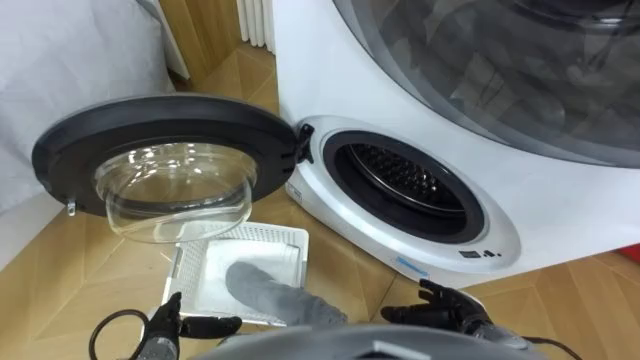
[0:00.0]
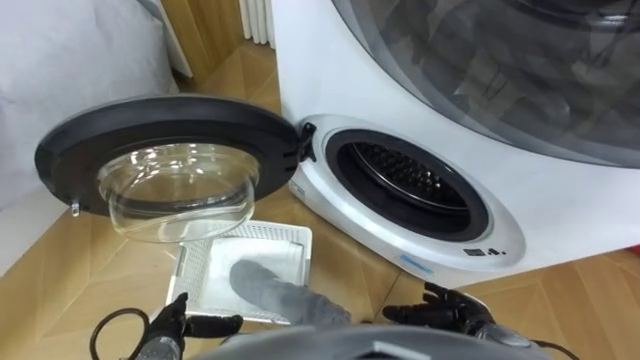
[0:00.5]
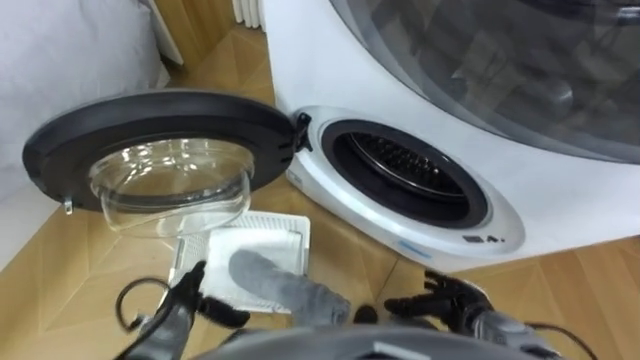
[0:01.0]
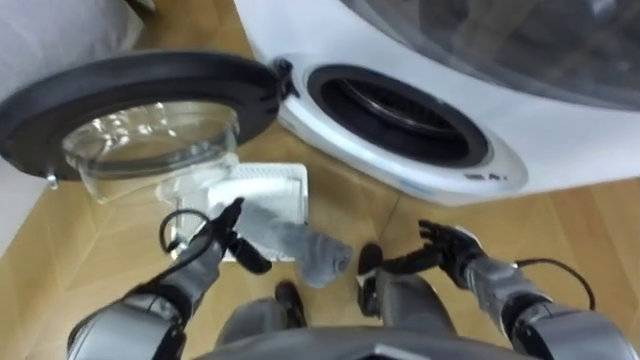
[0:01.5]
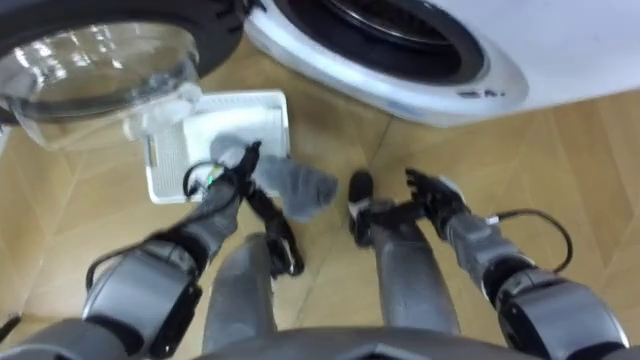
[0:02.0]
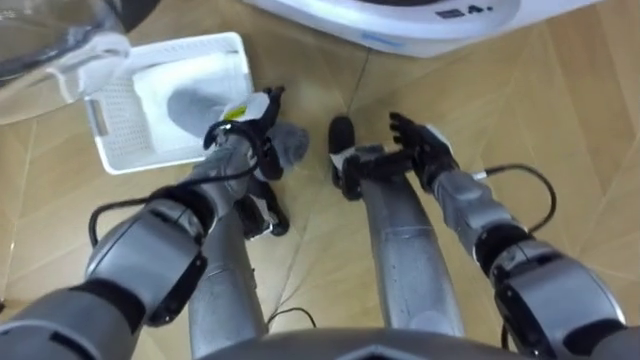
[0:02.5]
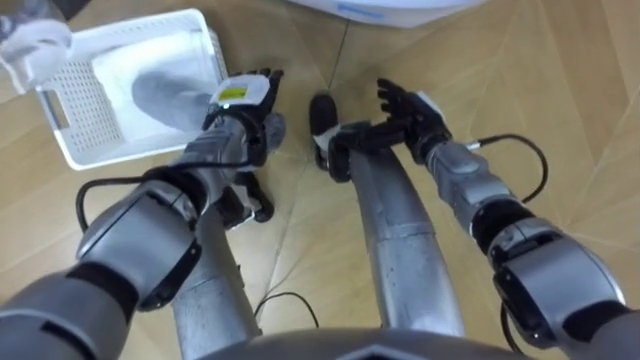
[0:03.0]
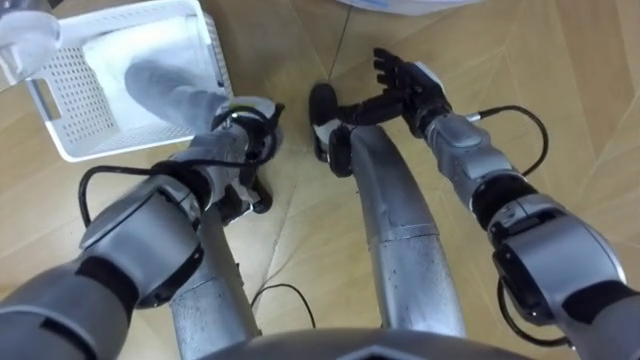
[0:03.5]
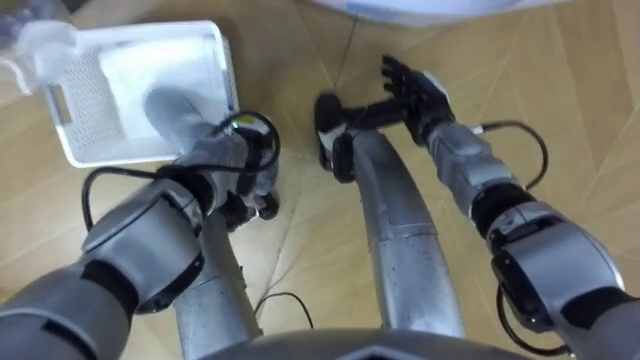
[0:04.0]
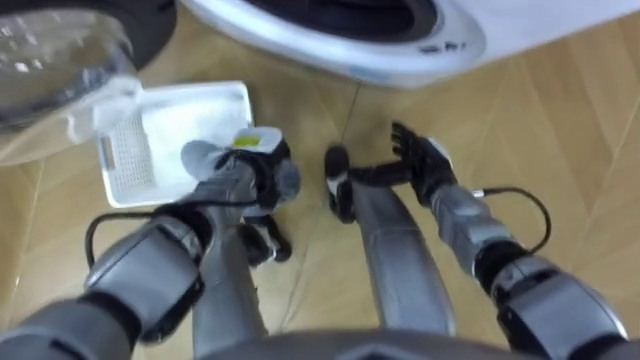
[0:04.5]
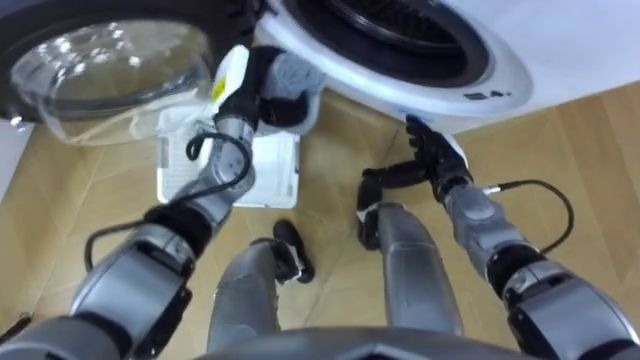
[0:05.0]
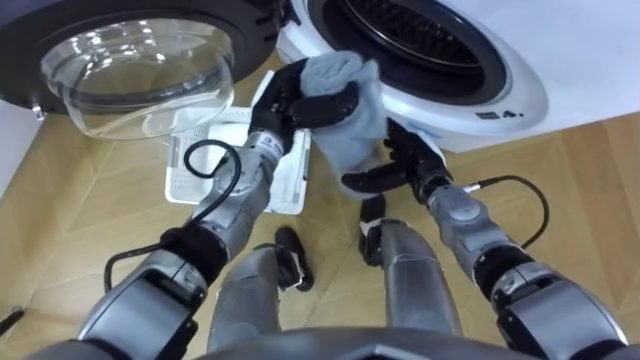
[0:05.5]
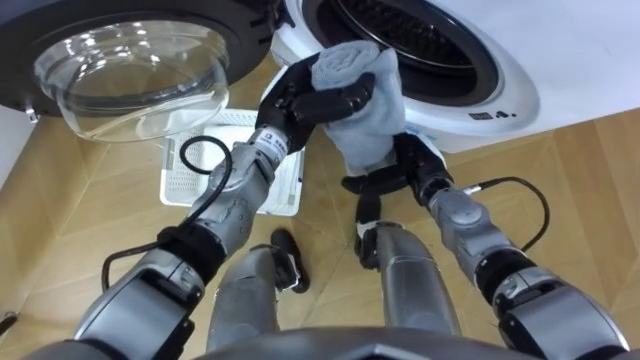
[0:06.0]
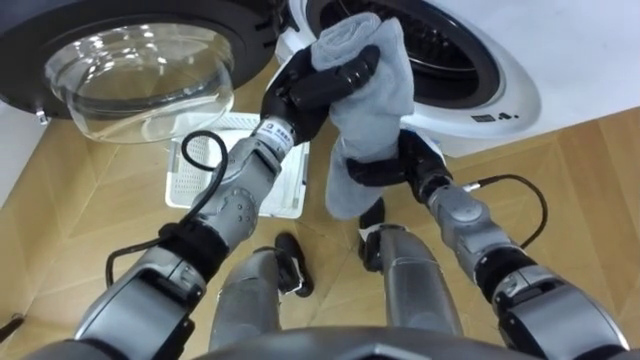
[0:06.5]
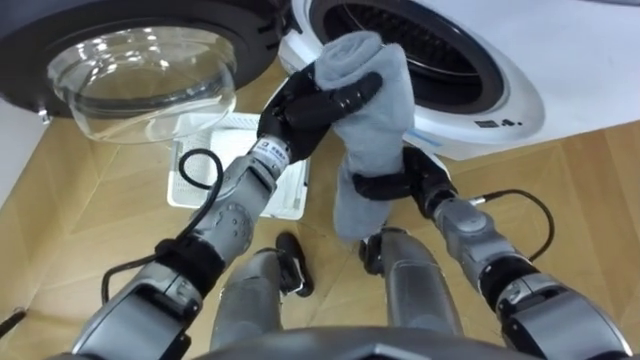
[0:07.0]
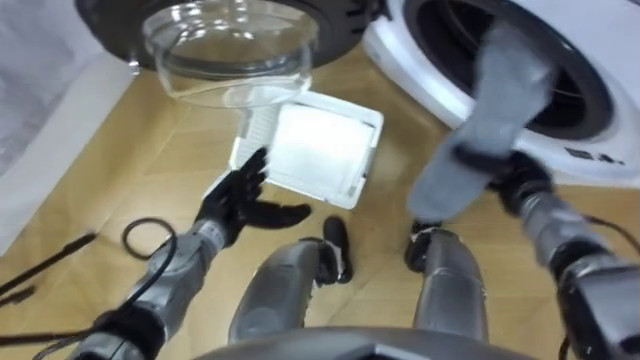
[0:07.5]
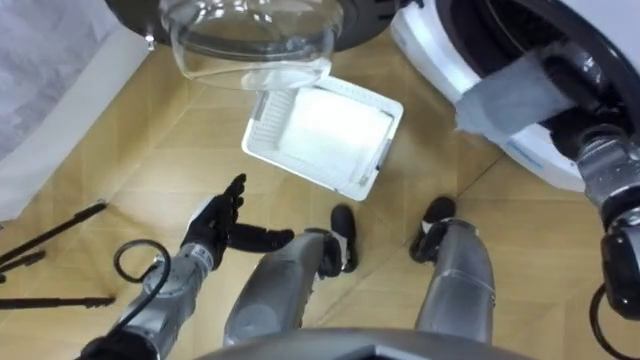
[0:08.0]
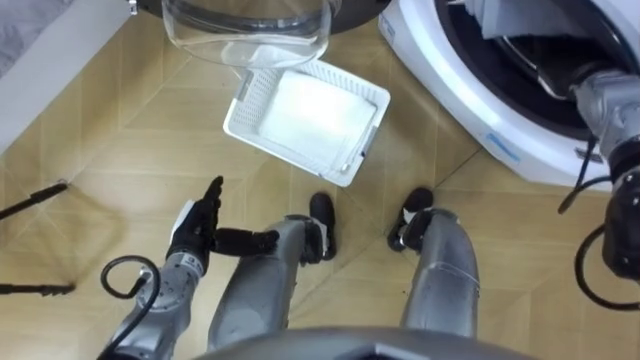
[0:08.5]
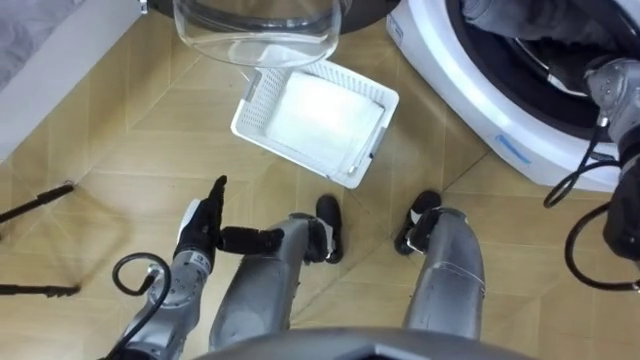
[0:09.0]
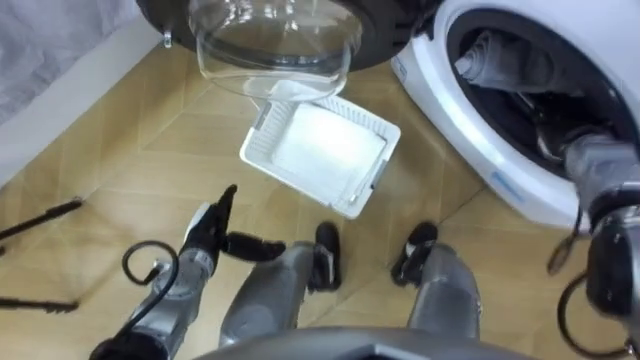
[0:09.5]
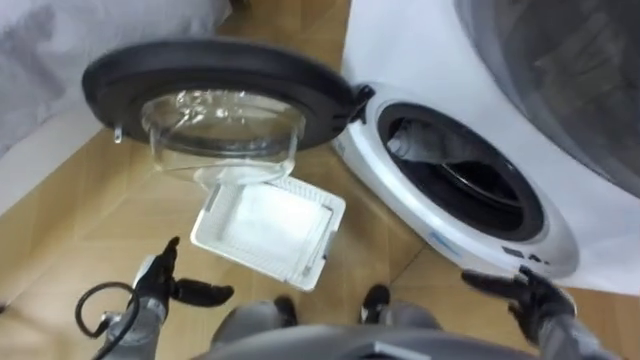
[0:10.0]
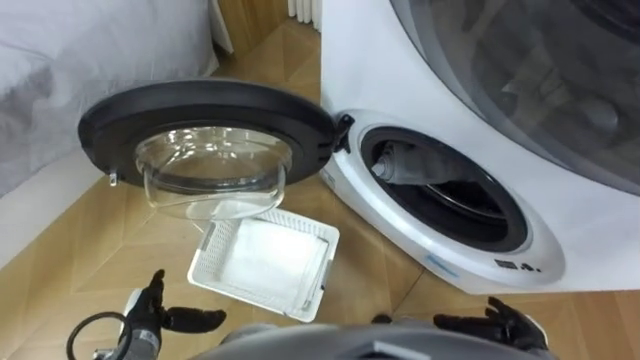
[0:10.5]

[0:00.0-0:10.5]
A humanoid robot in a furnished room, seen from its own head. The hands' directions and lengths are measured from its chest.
Task of the whole recording: Take the towel from the basket and put it into the washing machine.
0:02.0 to 0:04.0: The left hand closes, while the right hand goes some 15 cm forward and upward.
0:04.0 to 0:06.5: The left hand goes roughly 15 cm upward and to the right. Meanwhile the right hand heads backward and downward, covering approximately 10 cm, and closes its fingers.
0:06.5 to 0:08.5: The right hand goes some 25 cm to the right, upward and forward; the left hand travels to the left, downward and backward by some 25 cm, and opens up.
0:08.5 to 0:10.5: The left hand shifts approximately 15 cm backward, to the left and downward. The right hand heads backward and downward, covering some 40 cm, and opens up.

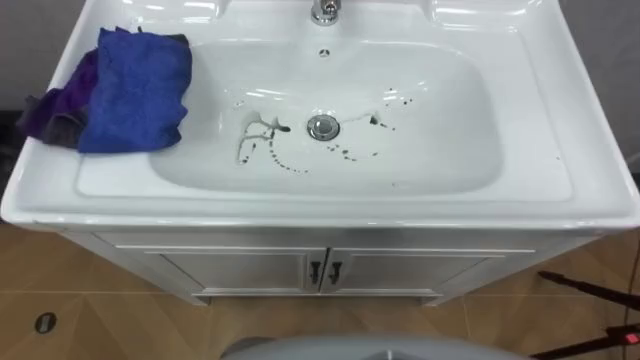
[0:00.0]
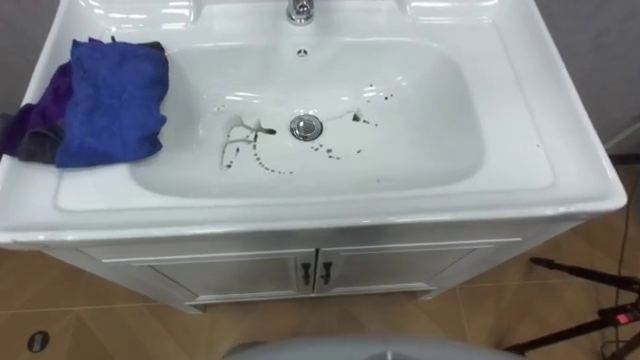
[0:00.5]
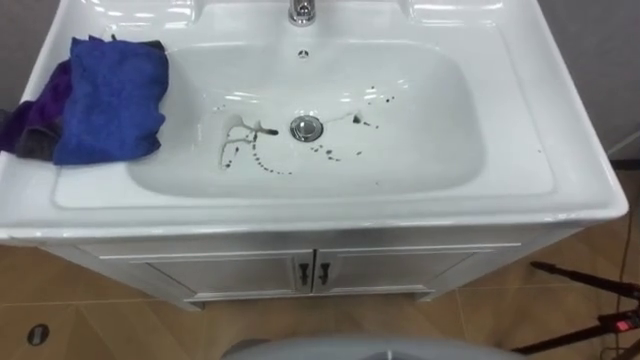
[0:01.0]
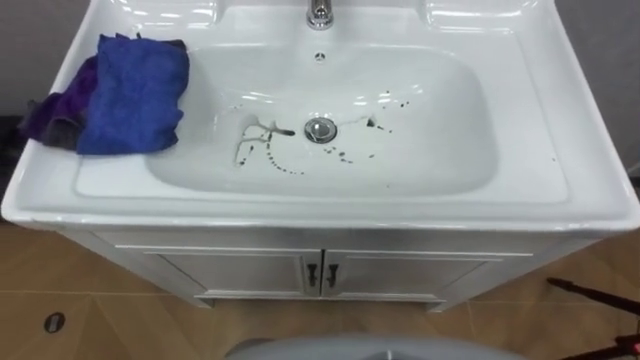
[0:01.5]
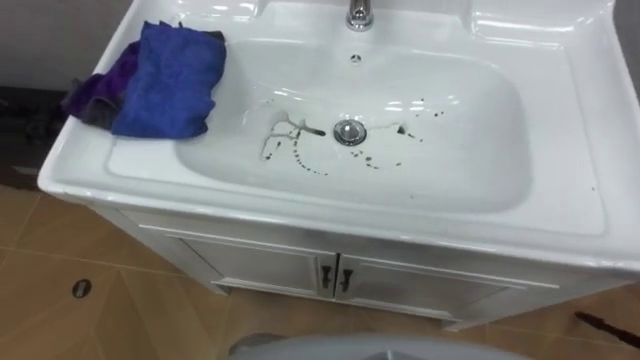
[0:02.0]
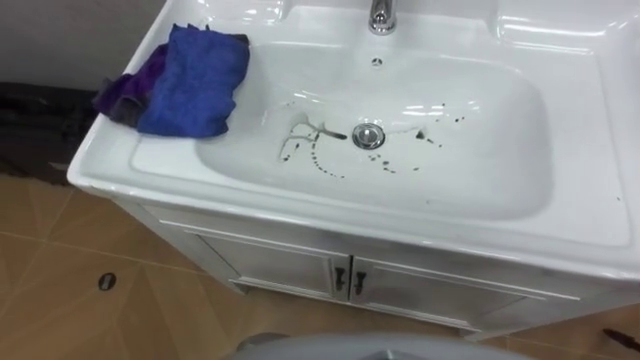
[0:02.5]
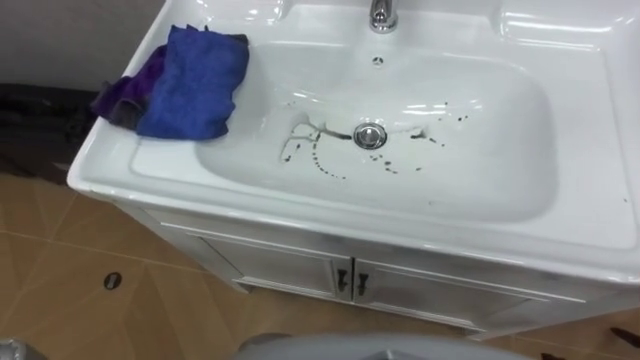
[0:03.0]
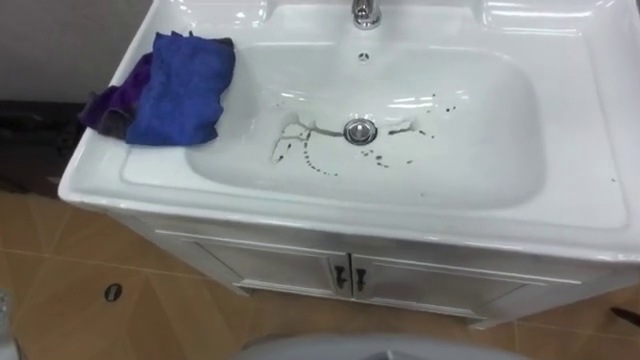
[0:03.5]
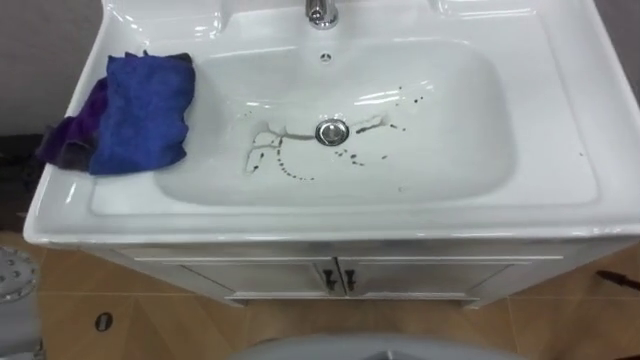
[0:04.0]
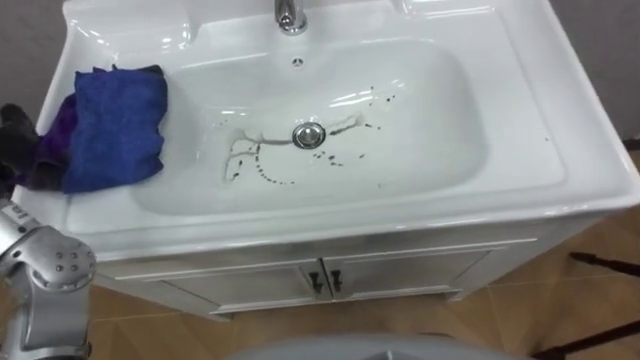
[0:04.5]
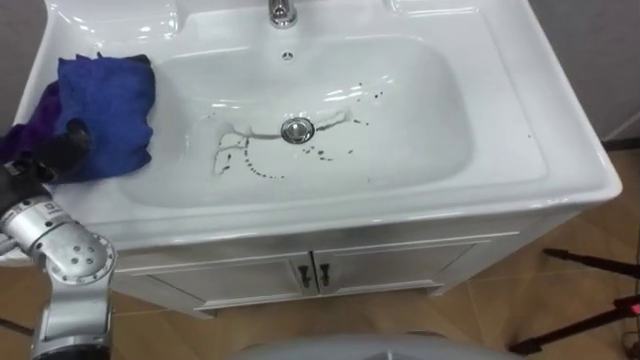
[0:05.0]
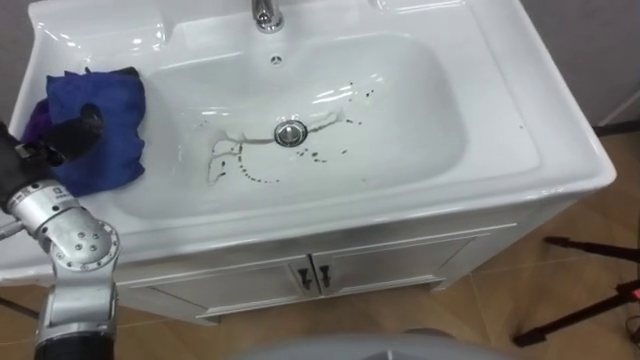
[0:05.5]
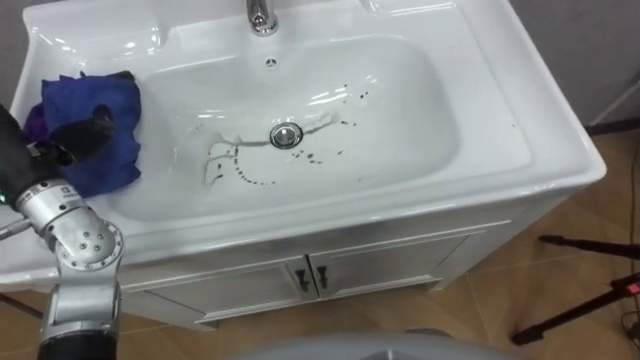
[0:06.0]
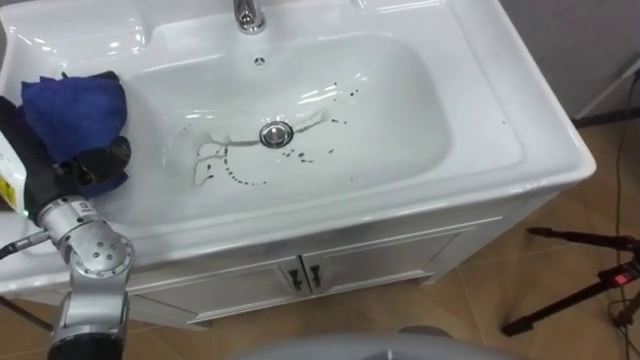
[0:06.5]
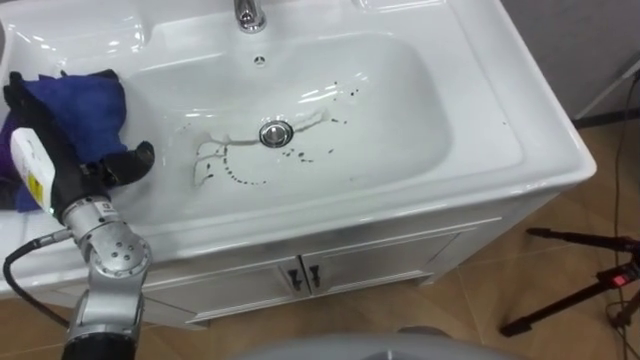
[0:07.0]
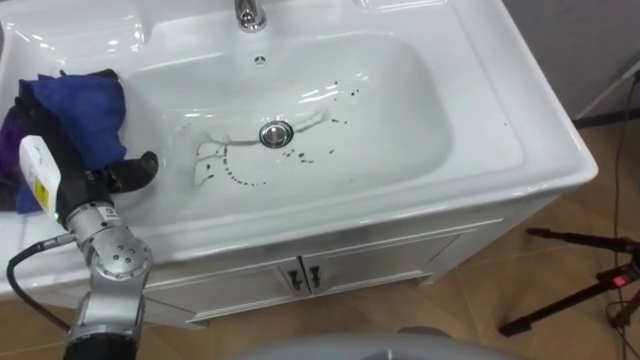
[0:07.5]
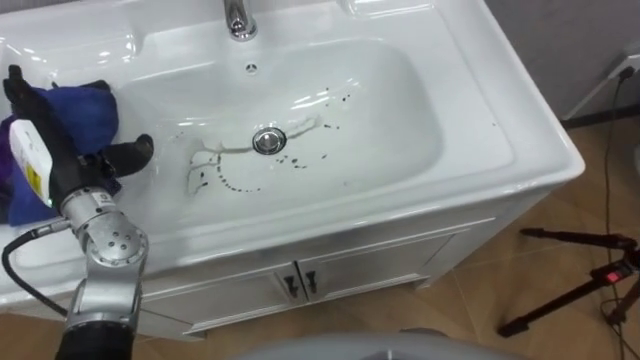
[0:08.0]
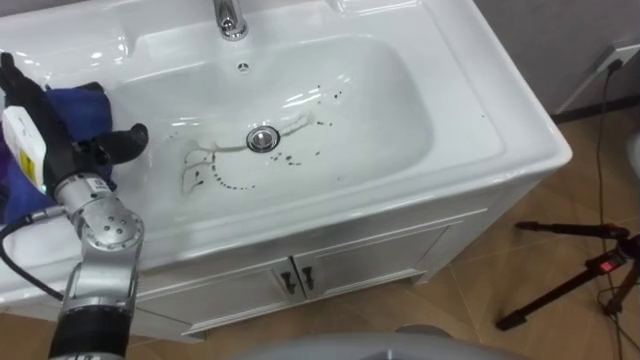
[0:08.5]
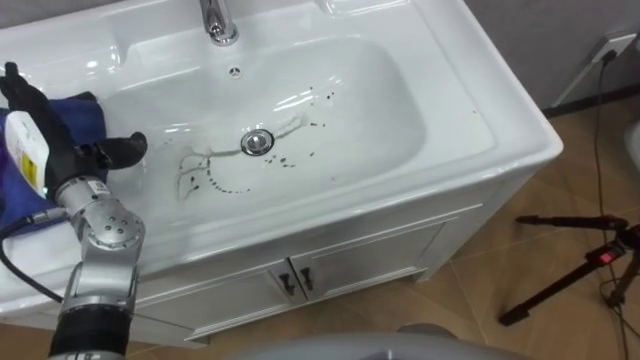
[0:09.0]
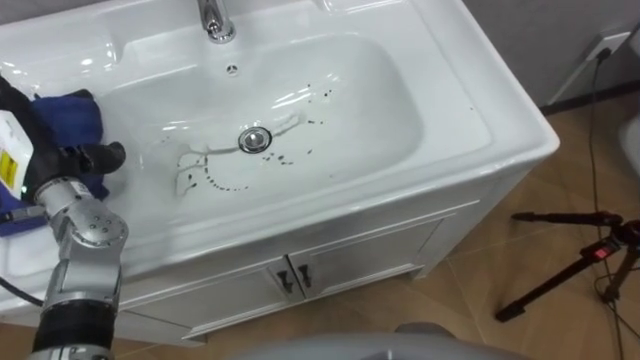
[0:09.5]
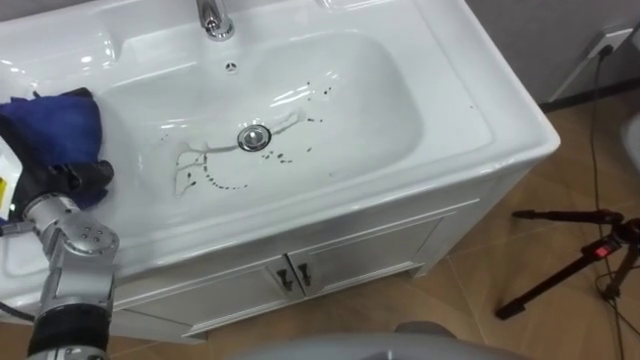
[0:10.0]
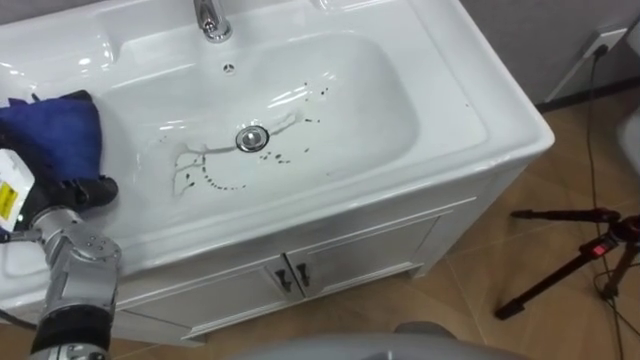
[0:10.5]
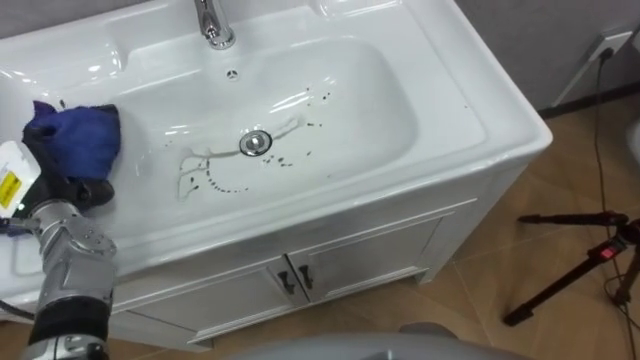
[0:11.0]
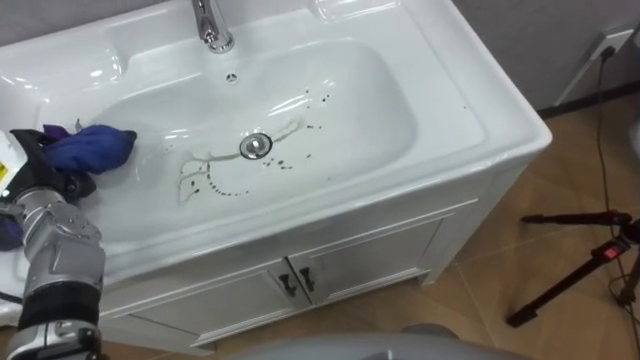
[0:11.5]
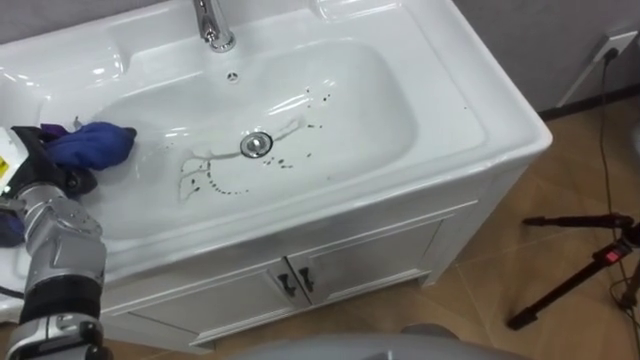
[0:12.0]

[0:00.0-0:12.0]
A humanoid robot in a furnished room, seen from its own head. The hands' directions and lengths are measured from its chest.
Task of the whole recording: Use the cloth on the right to wipe away the black stain in the sink.
0:08.0 to 0:10.0: The left hand heads to the left, covering some 5 cm.
0:10.0 to 0:12.0: The left hand closes up.
